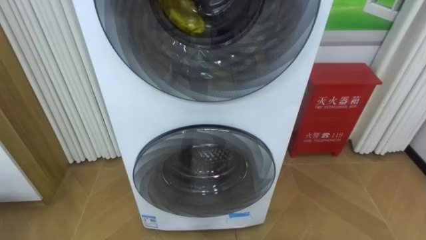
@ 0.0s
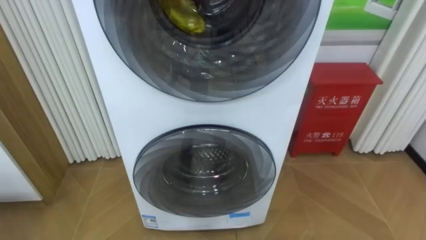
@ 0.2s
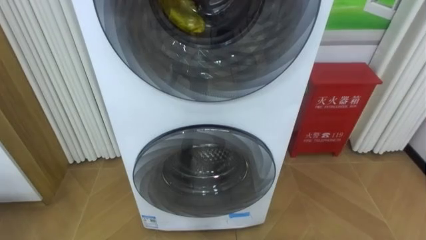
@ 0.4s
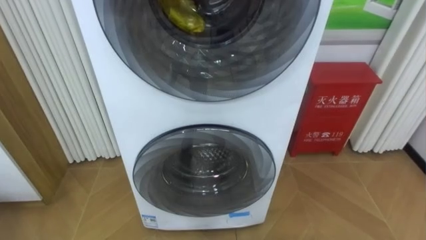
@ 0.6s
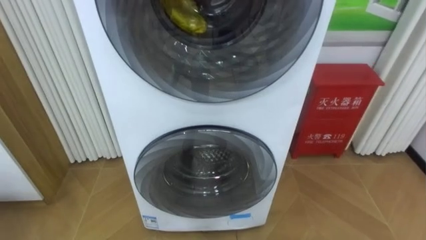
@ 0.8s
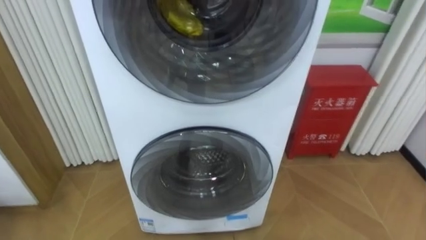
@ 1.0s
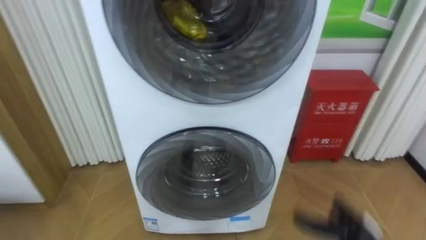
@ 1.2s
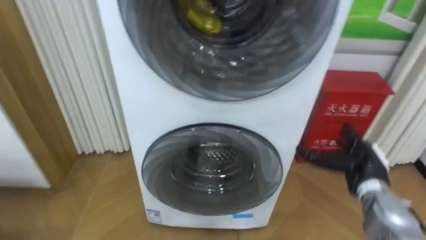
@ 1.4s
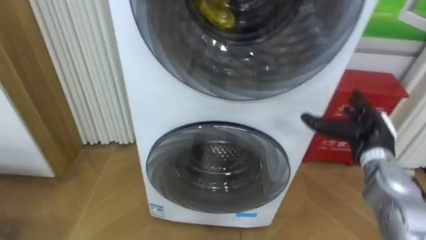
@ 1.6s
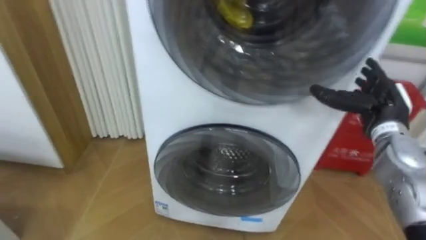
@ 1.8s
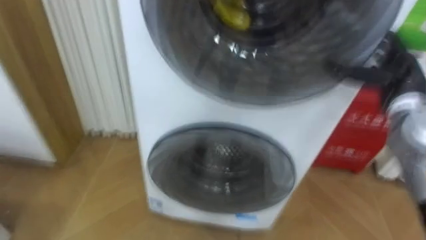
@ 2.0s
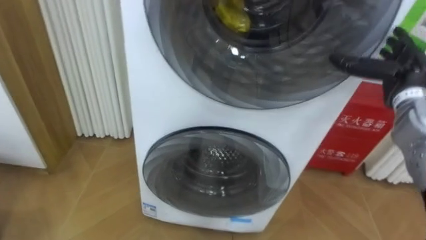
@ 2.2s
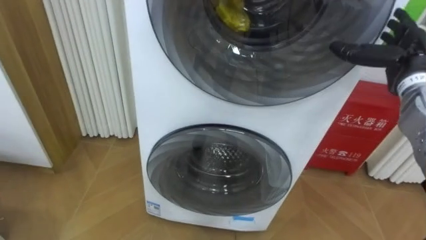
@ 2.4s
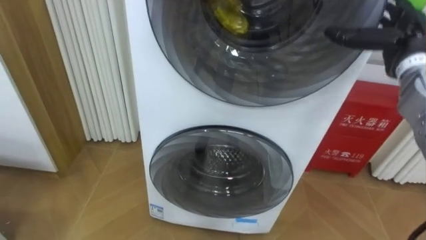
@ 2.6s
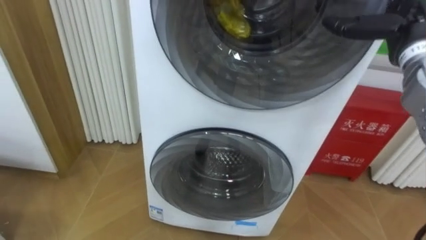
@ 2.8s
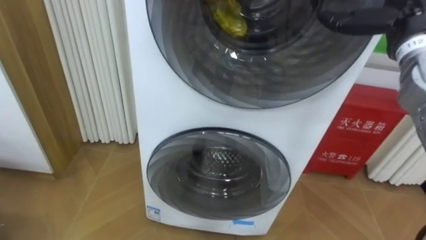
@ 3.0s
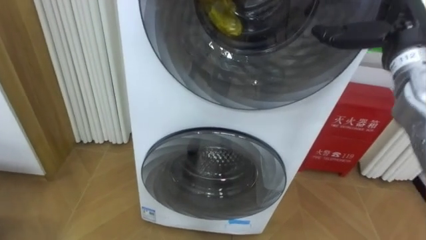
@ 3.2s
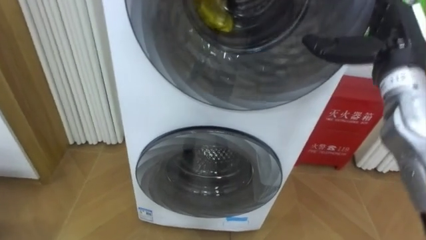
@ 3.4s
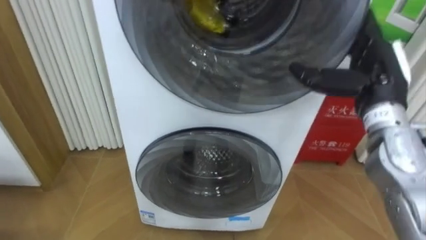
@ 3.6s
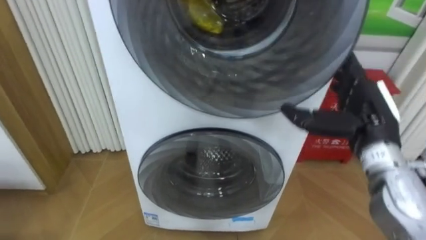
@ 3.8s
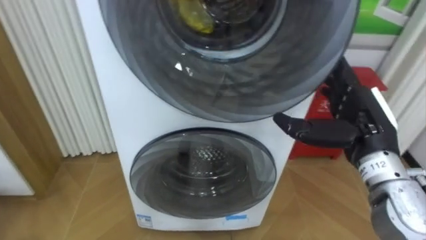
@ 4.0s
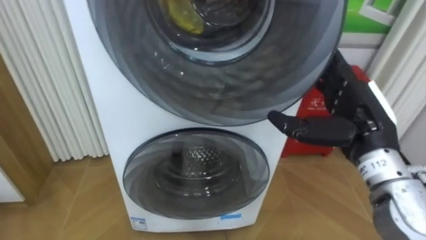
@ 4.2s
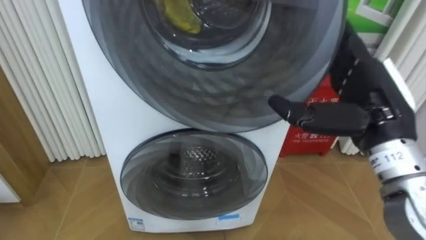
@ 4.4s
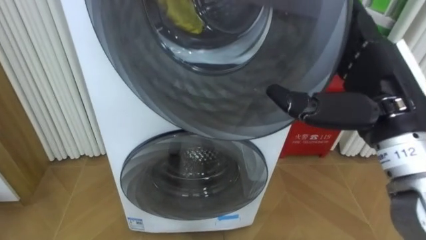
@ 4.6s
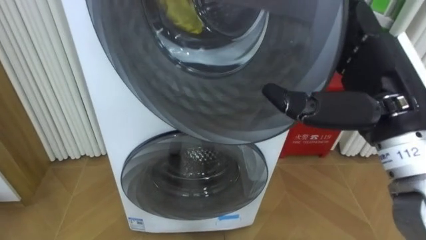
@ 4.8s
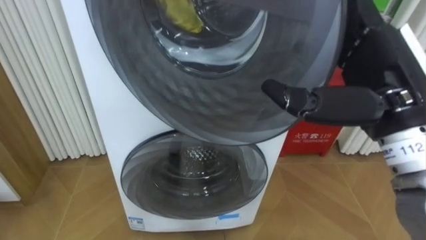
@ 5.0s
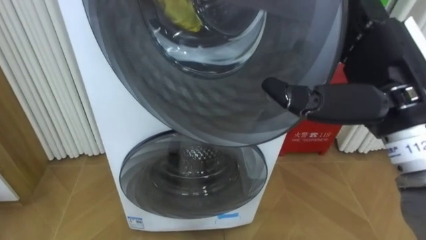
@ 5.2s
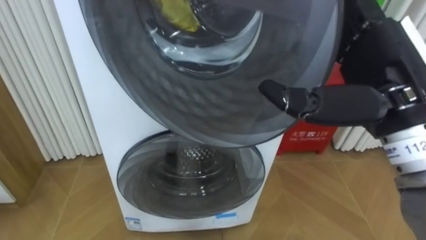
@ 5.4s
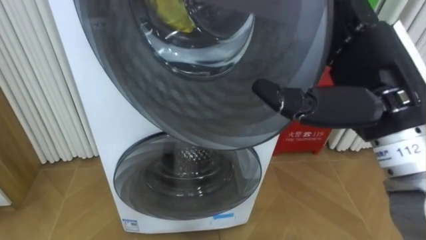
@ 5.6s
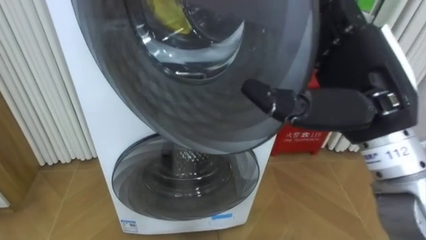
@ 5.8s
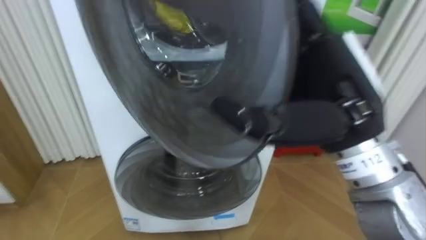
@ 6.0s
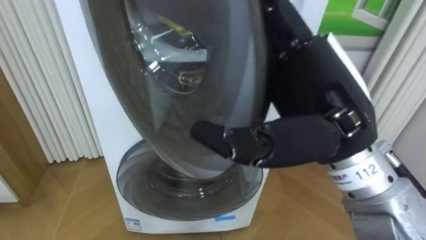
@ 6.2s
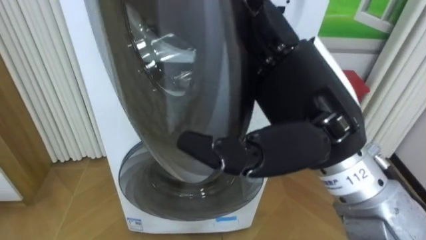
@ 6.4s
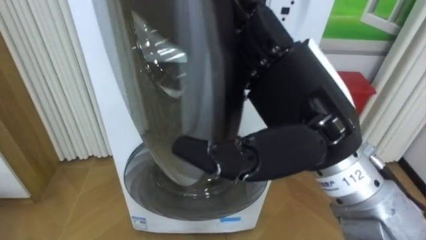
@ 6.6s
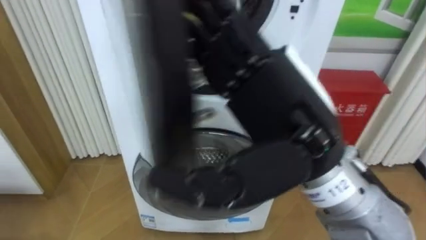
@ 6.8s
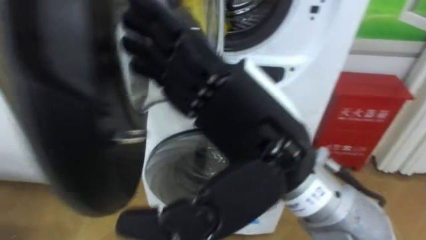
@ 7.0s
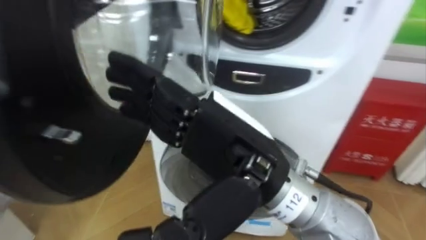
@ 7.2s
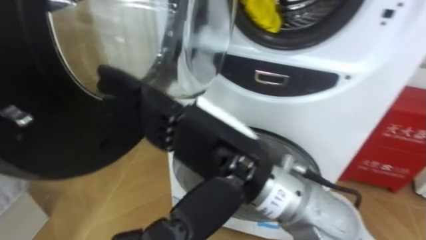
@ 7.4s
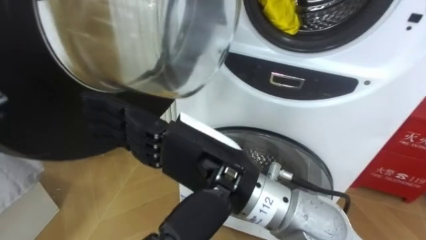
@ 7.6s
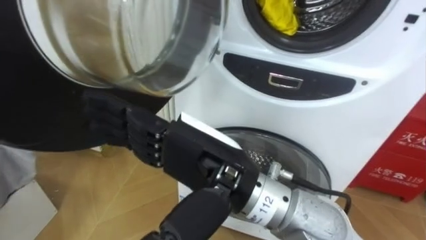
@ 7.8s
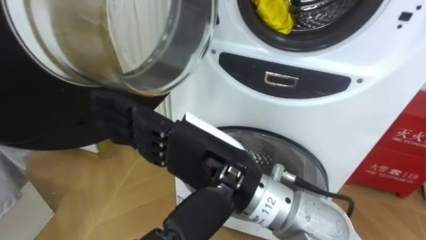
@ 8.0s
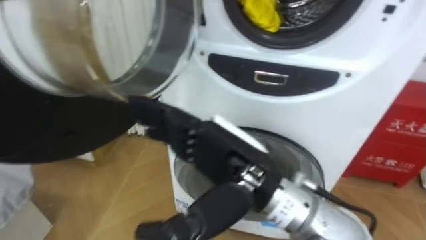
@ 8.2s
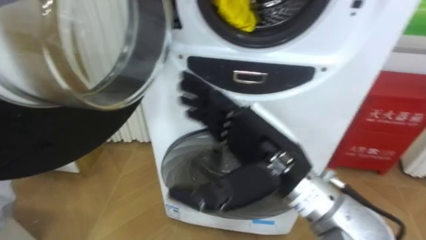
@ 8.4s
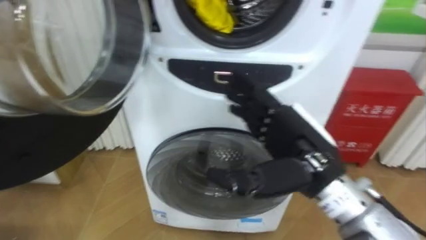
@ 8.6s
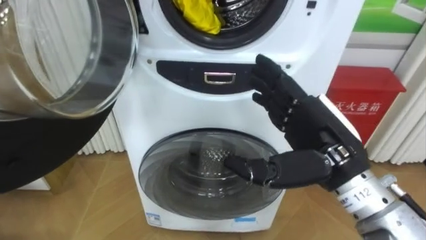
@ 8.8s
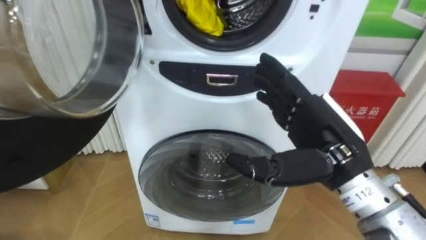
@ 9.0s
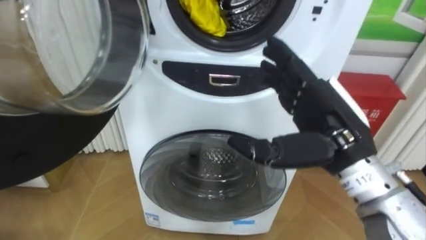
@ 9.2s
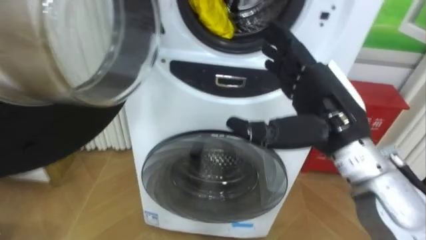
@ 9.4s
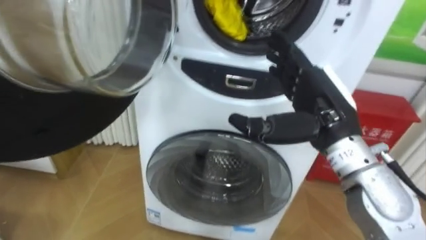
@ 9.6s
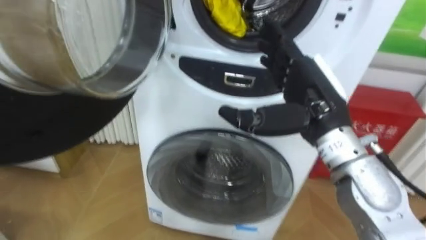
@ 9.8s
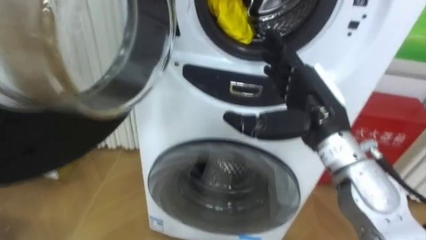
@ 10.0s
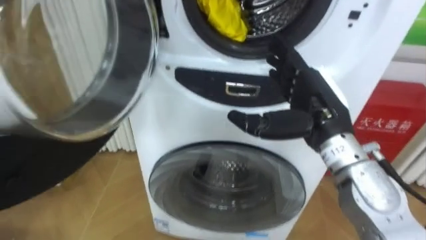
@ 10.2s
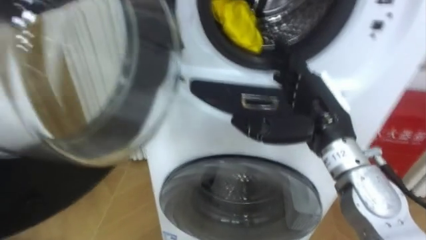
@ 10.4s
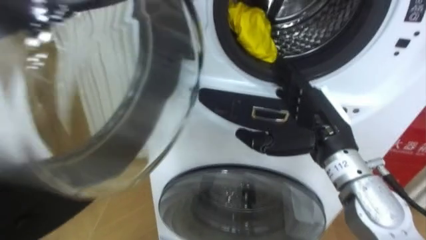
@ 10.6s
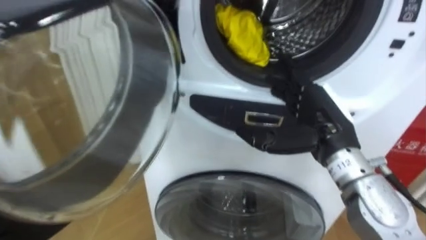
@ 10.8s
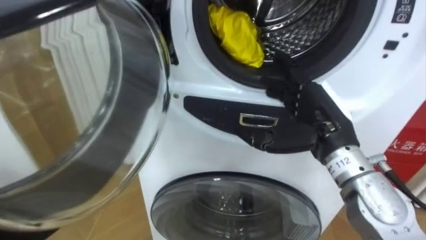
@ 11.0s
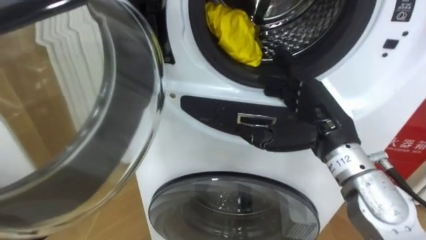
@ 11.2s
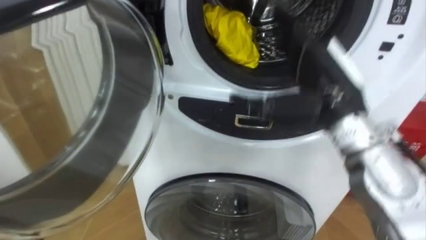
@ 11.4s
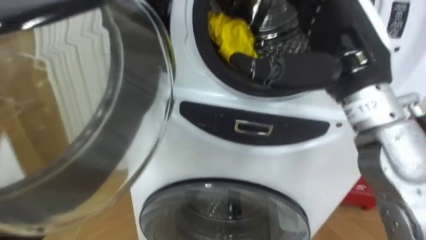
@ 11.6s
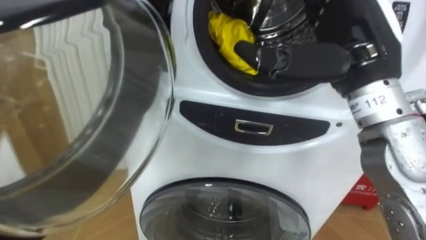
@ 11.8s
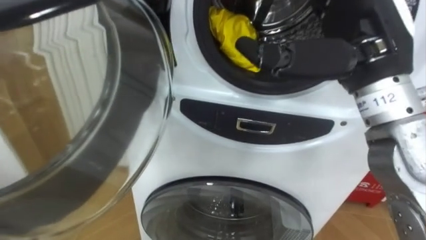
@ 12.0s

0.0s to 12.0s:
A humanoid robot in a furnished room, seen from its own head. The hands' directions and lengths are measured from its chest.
Task of the whole recording: Open the washing machine door, take out the yellow clothes, place them in the box on the right, and close the washing machine door.
1.6s to 3.0s: The right hand heads upward, covering roughly 20 cm.
3.0s to 4.4s: The right hand heads backward, to the left and downward, covering roughly 15 cm.
4.4s to 6.0s: The right hand goes approximately 10 cm to the left.
6.0s to 7.6s: The right hand travels to the left by some 15 cm.
7.6s to 9.0s: The right hand is displaced to the right by approximately 15 cm.
9.0s to 10.4s: The right hand shifts some 5 cm forward.
10.4s to 12.0s: The right hand heads upward, covering about 15 cm.

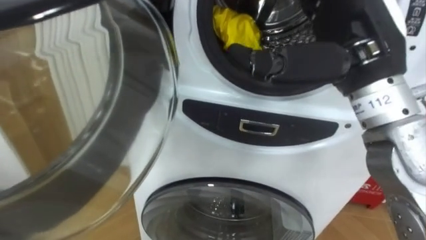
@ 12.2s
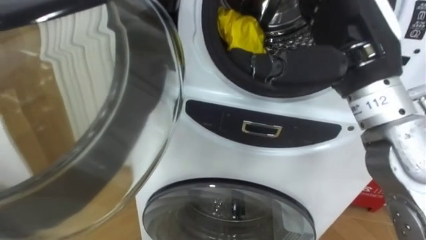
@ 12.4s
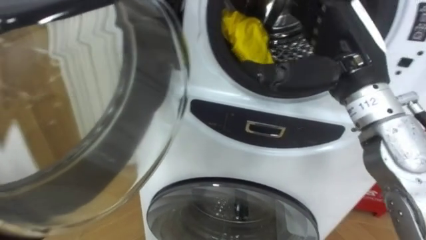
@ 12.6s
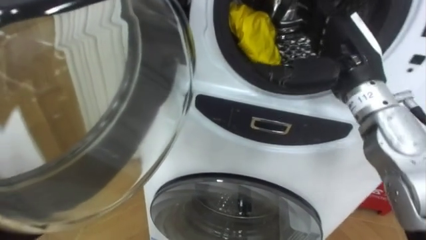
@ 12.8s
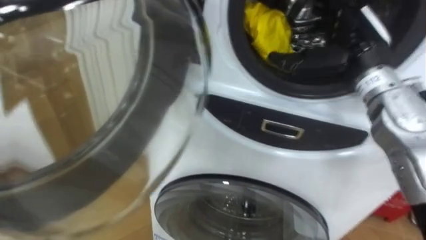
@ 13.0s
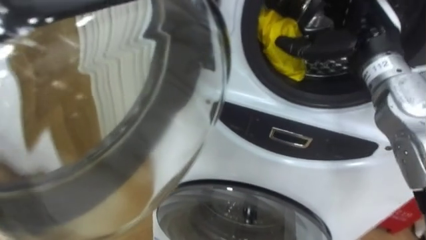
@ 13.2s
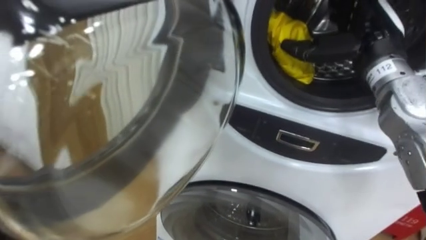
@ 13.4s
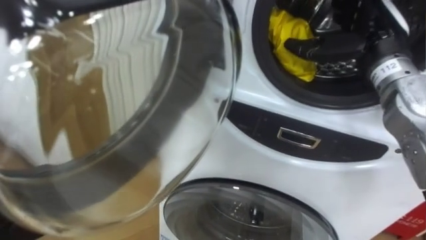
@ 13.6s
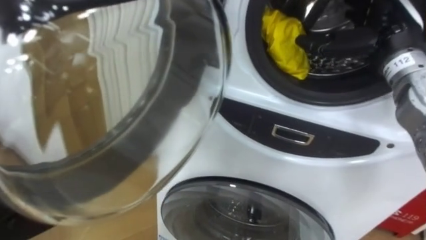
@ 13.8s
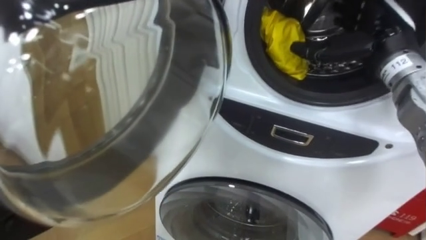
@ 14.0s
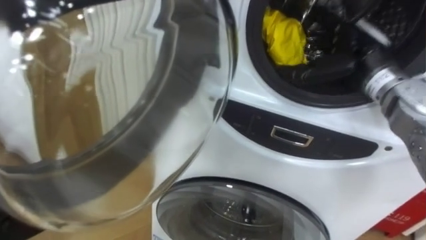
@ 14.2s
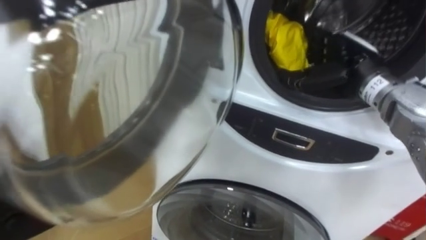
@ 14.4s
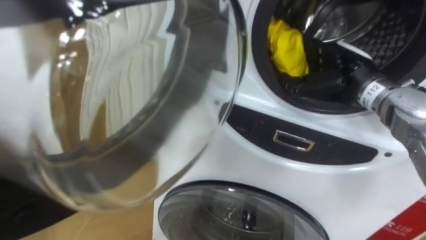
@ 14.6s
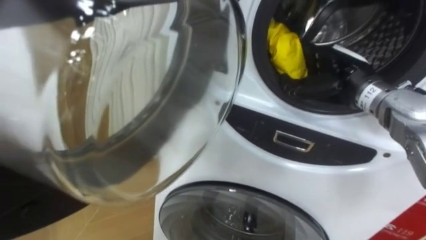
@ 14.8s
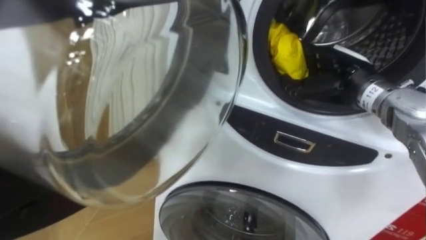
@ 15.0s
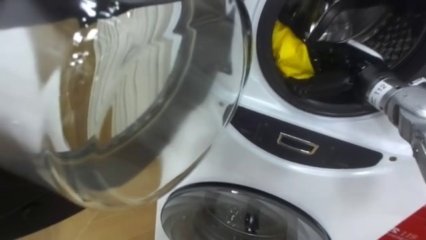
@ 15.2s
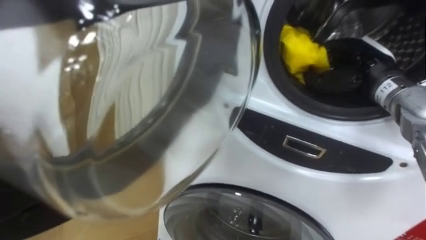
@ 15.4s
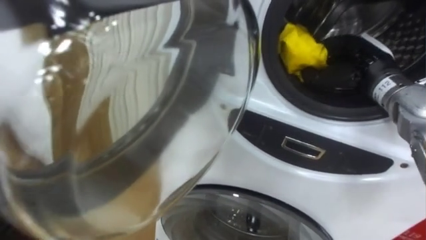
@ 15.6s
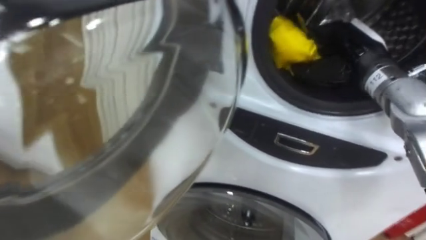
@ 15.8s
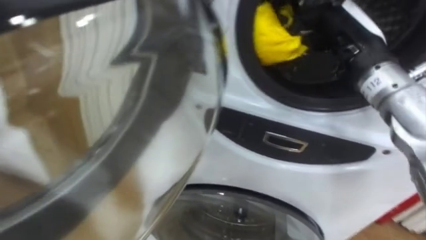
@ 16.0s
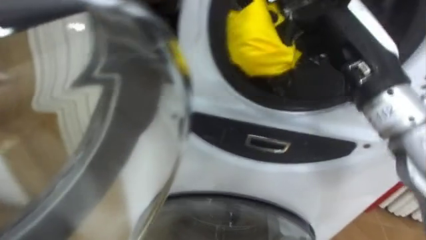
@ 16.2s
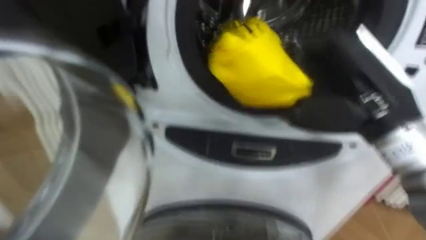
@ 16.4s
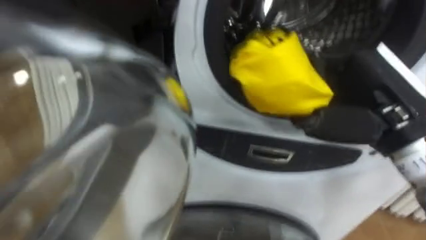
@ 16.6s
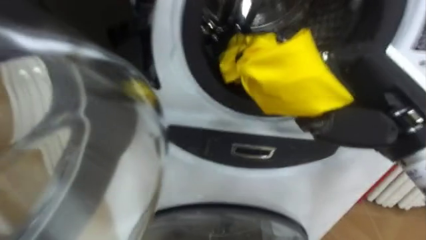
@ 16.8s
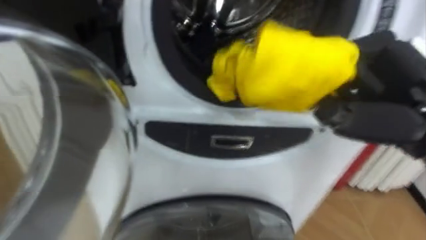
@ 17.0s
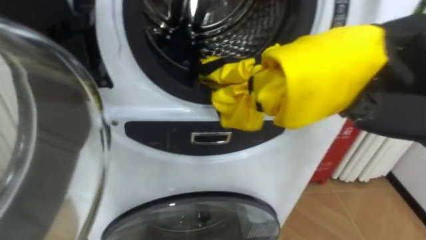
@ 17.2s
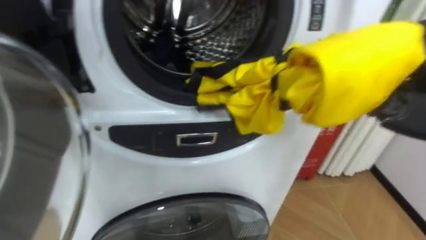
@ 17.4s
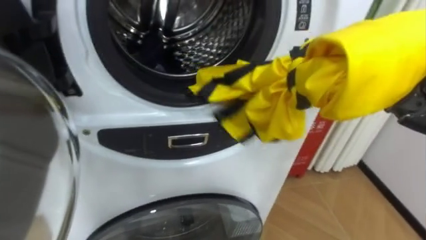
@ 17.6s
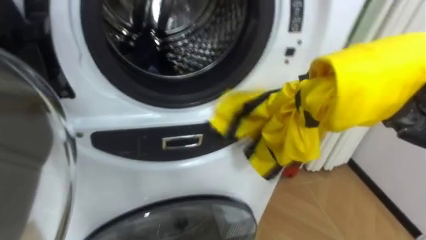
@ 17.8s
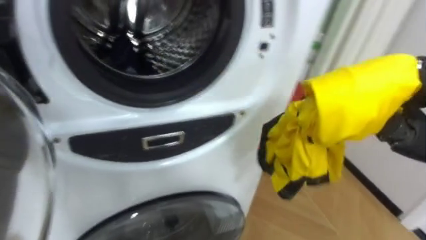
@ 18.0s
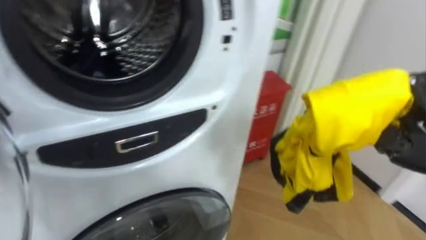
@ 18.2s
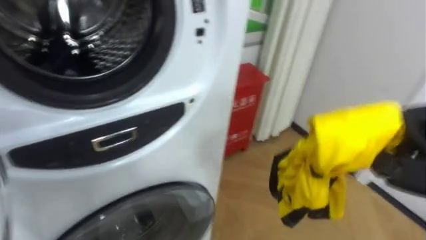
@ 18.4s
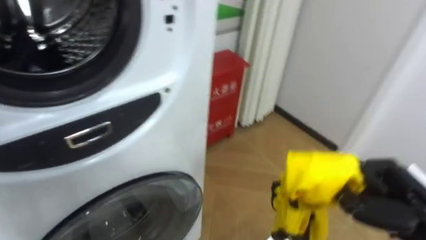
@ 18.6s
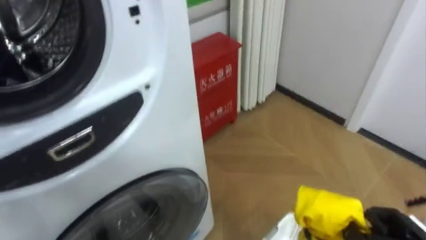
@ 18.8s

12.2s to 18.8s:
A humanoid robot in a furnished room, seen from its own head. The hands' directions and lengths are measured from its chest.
Task of the whole recording: Open the washing machine door, take out the yellow clothes, place them in the box on the right, and close the washing machine door.
12.2s to 13.8s: The right hand goes roughly 15 cm forward, to the right and downward.
13.8s to 15.4s: The right hand shifts some 5 cm downward, and closes its fingers.
15.4s to 17.2s: The right hand goes some 20 cm backward and upward.
17.2s to 18.8s: The robot's body swings about 25 degrees to its right.
